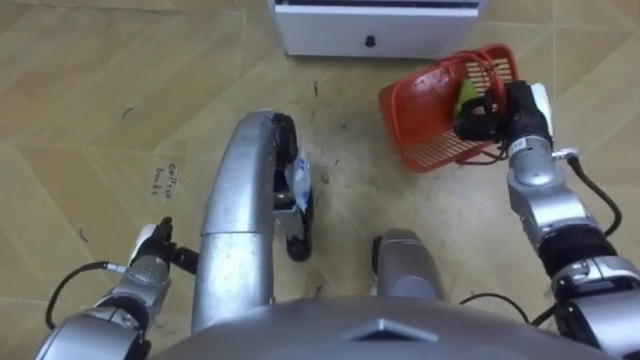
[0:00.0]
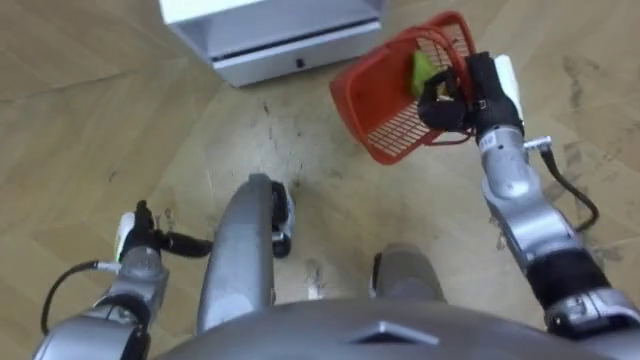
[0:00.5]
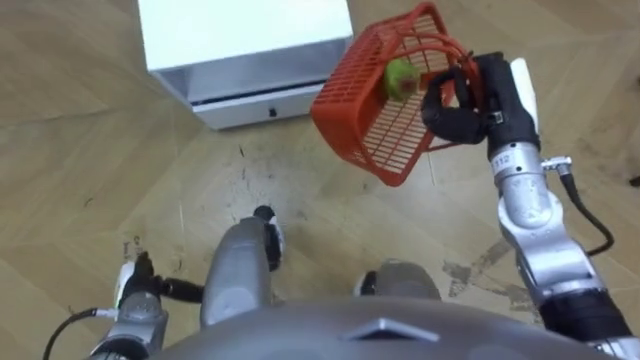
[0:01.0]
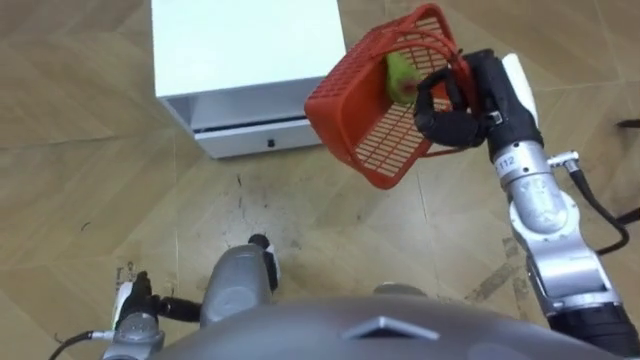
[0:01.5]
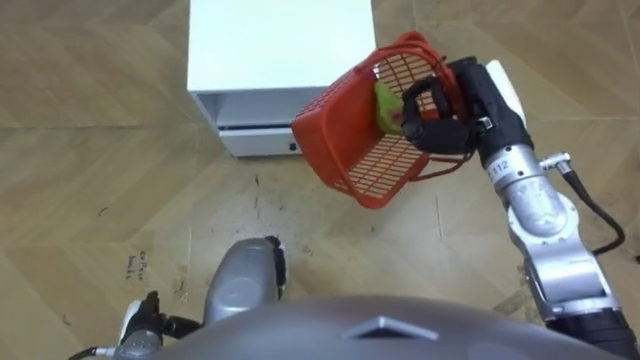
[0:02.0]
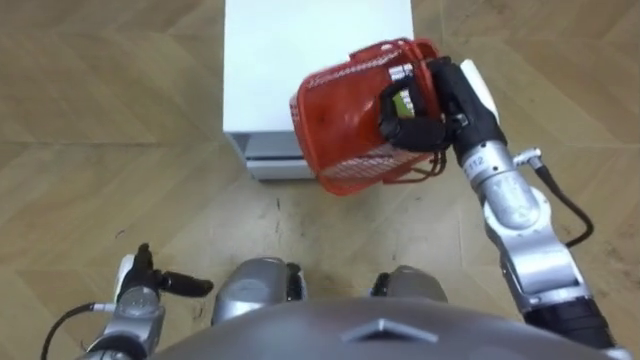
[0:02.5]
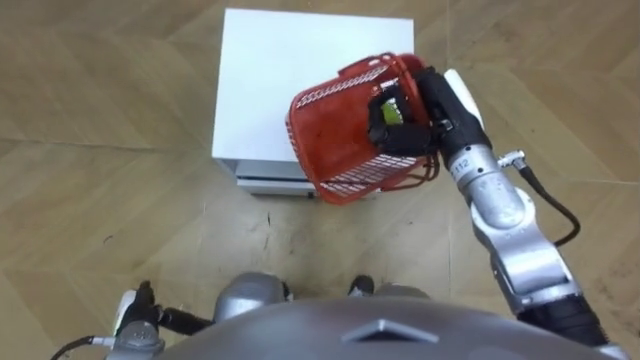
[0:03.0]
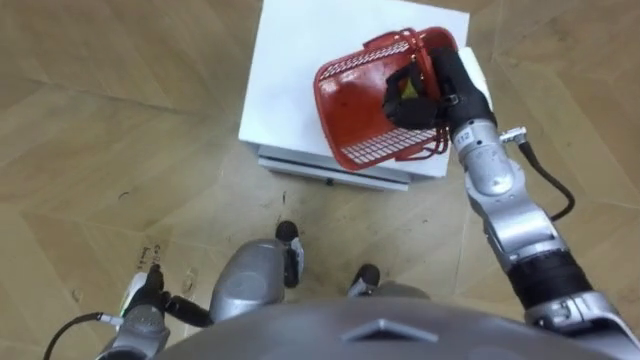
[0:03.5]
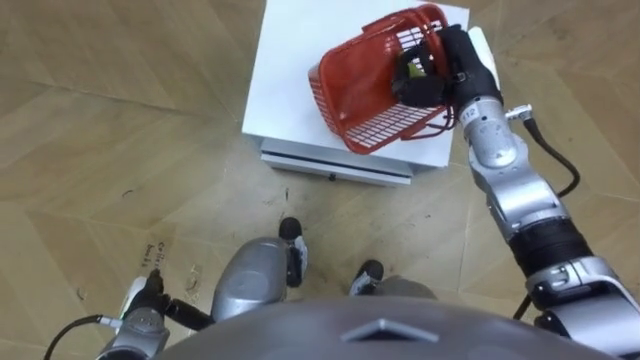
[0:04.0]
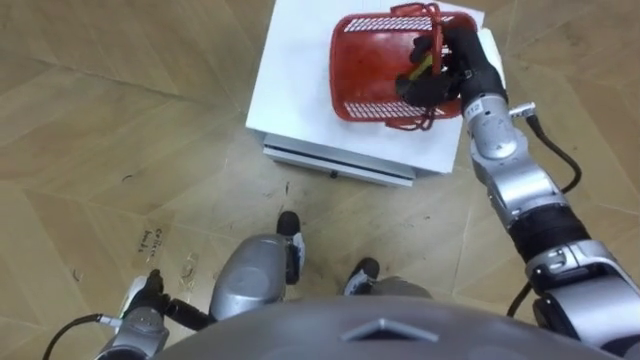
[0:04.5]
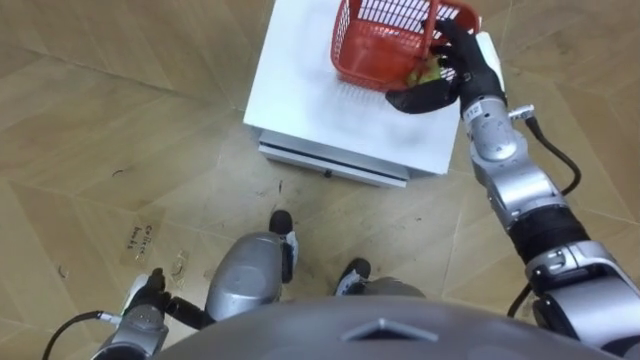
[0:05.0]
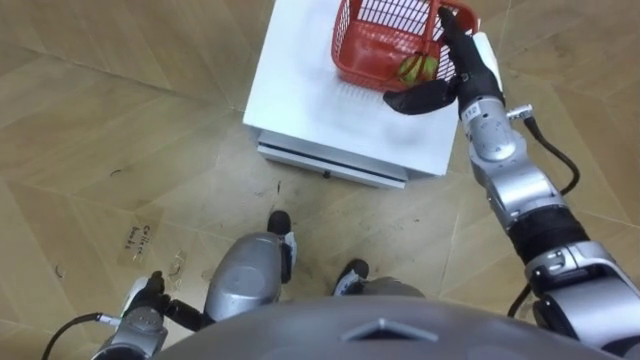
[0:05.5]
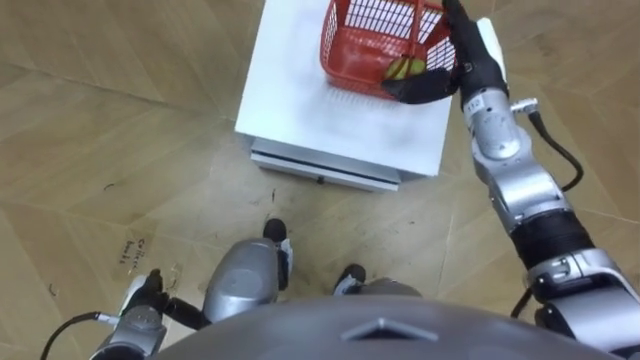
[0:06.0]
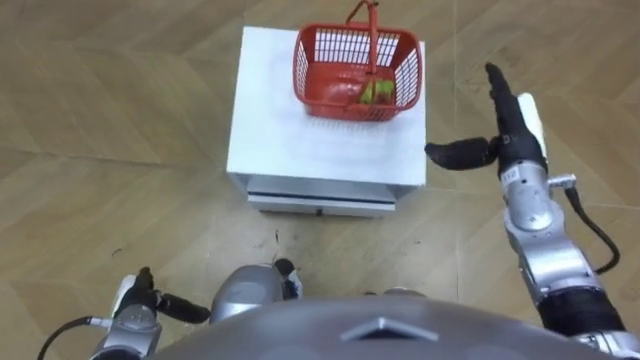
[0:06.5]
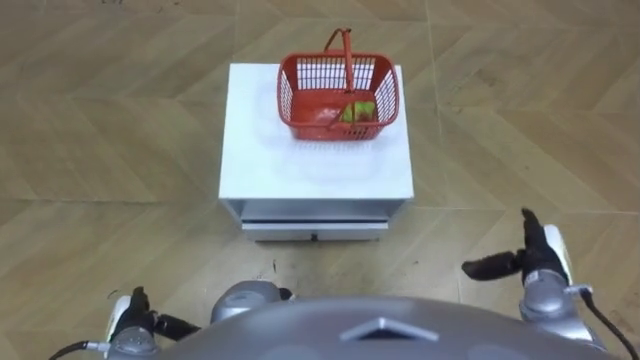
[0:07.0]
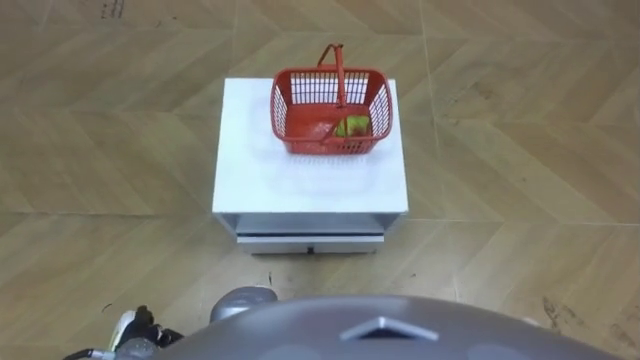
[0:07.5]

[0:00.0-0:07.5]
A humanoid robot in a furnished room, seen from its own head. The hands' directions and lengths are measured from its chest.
Task of the whole recording: Pick up the fruit basket from the floor and place it on the cabinet.
0:00.0 to 0:02.0: The left hand shifts approximately 10 cm backward, while the right hand goes roughly 10 cm upward and to the left.
0:02.0 to 0:04.0: The right hand shifts some 5 cm forward.
0:04.0 to 0:05.5: The right hand opens up.
0:05.5 to 0:07.5: The right hand shifts roughly 40 cm backward and downward.

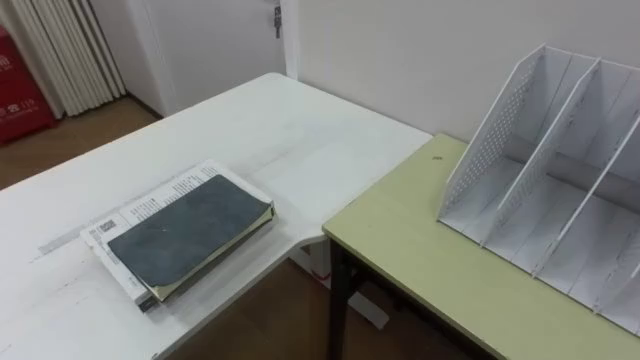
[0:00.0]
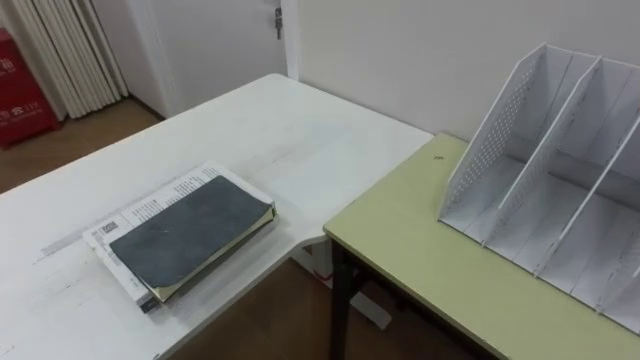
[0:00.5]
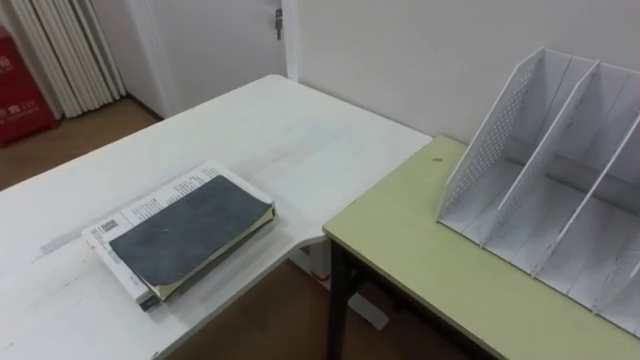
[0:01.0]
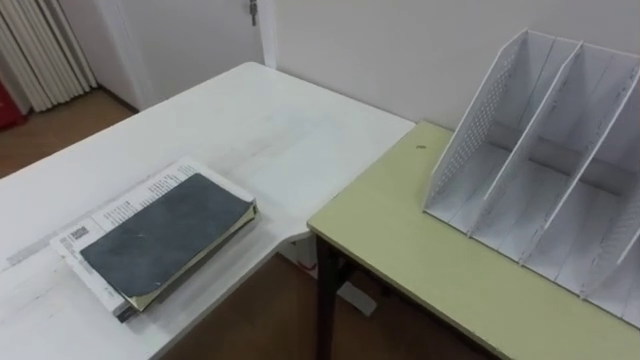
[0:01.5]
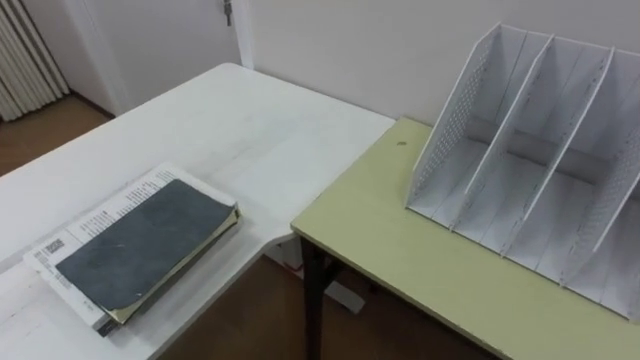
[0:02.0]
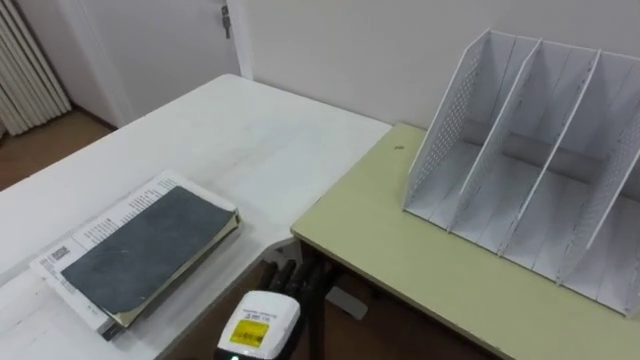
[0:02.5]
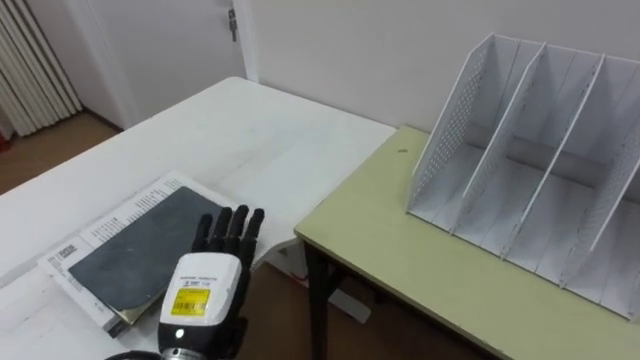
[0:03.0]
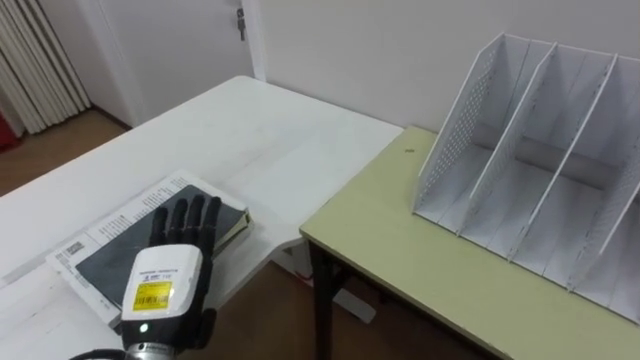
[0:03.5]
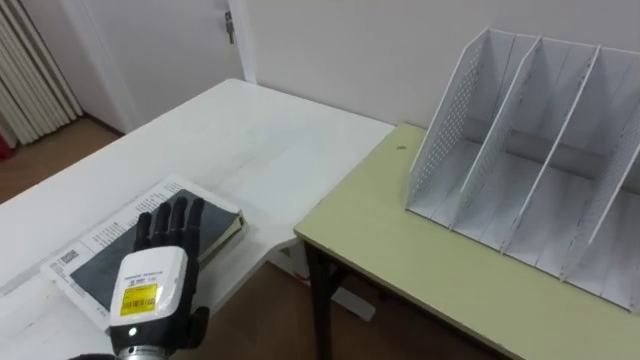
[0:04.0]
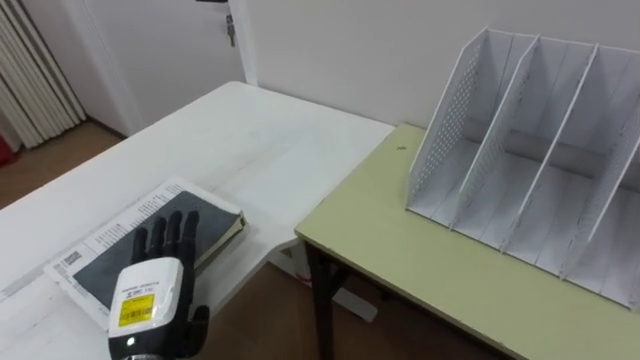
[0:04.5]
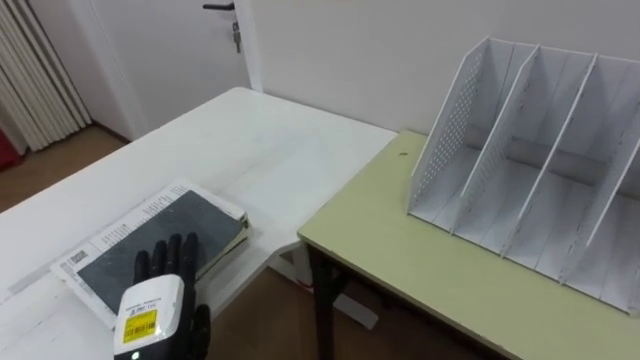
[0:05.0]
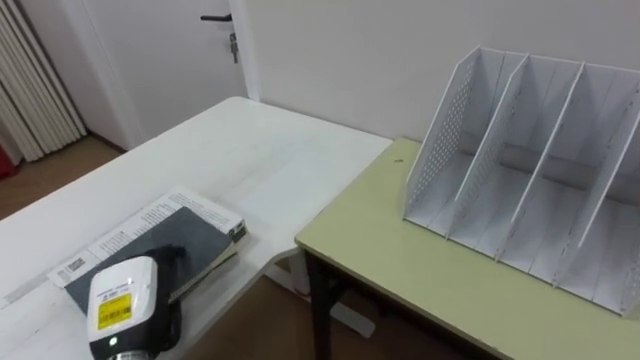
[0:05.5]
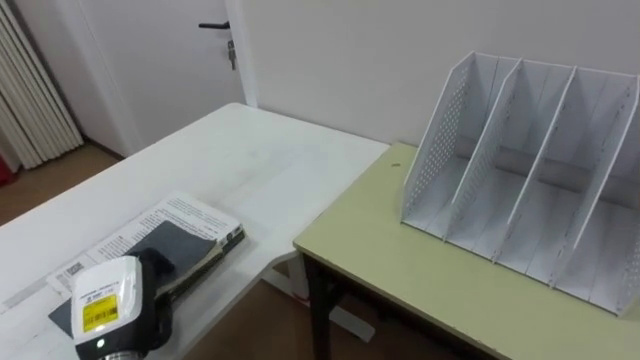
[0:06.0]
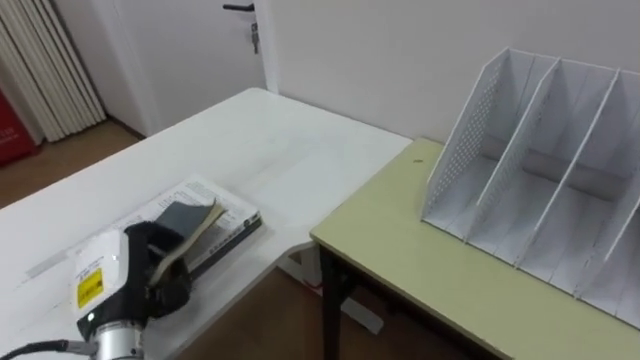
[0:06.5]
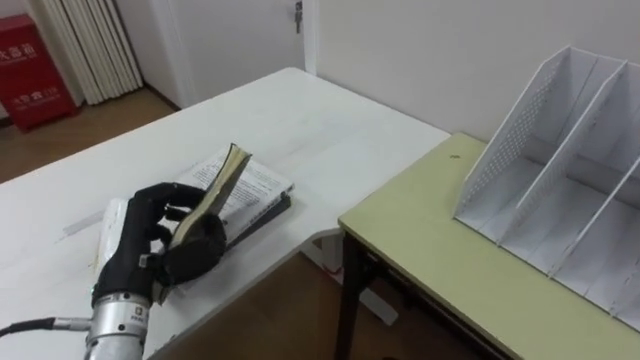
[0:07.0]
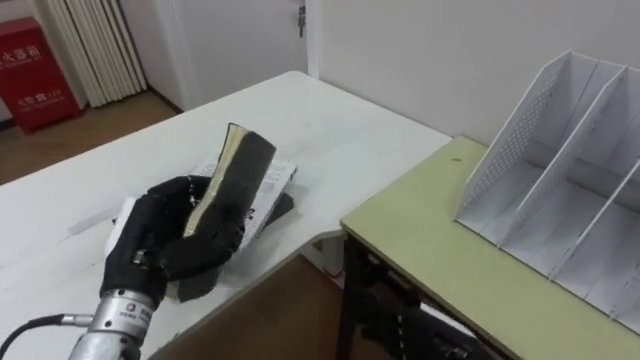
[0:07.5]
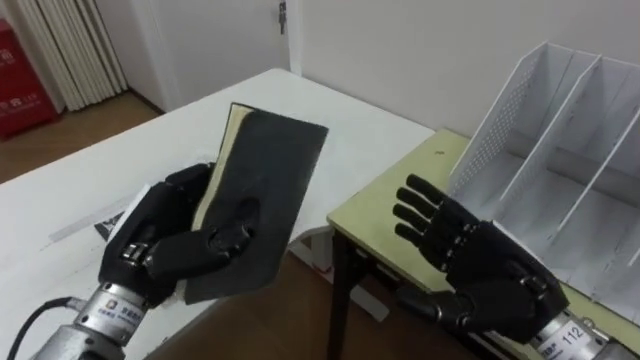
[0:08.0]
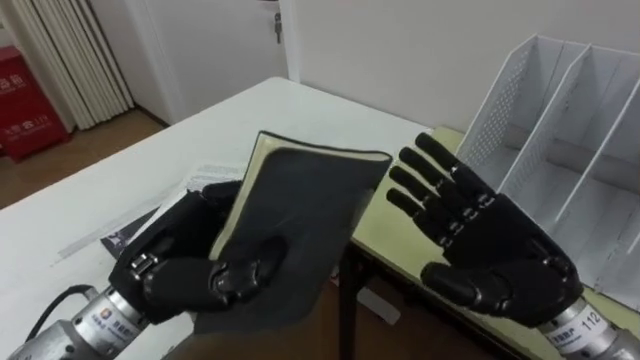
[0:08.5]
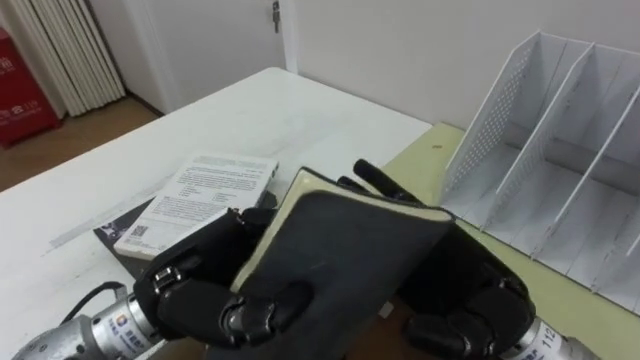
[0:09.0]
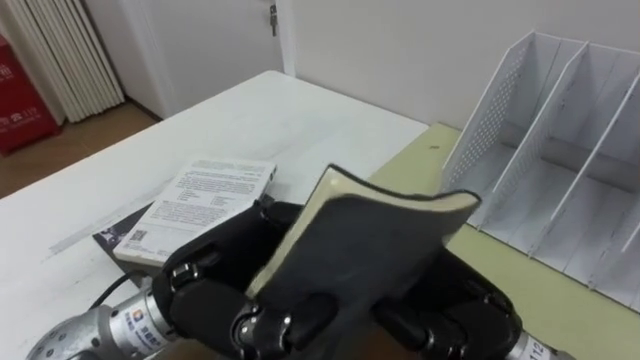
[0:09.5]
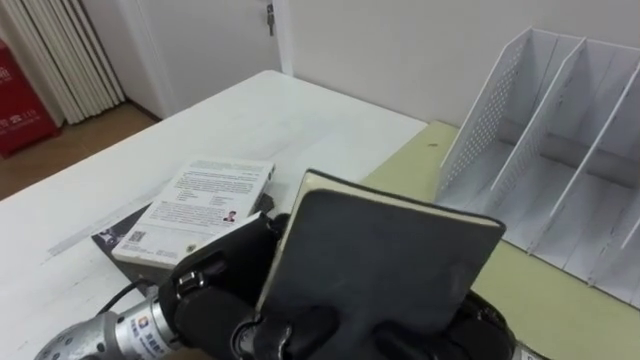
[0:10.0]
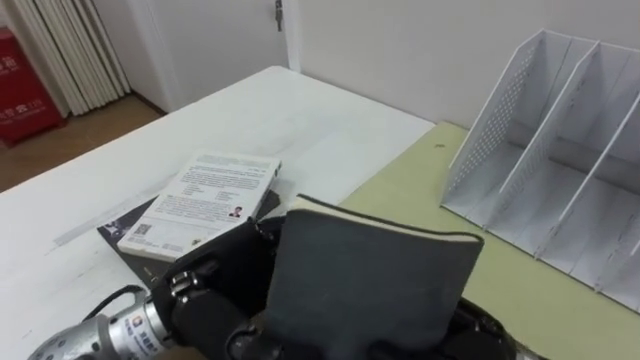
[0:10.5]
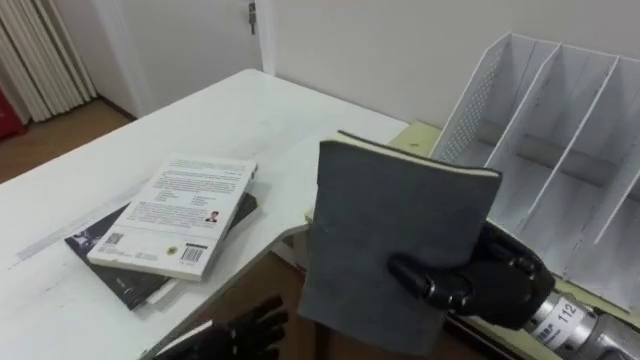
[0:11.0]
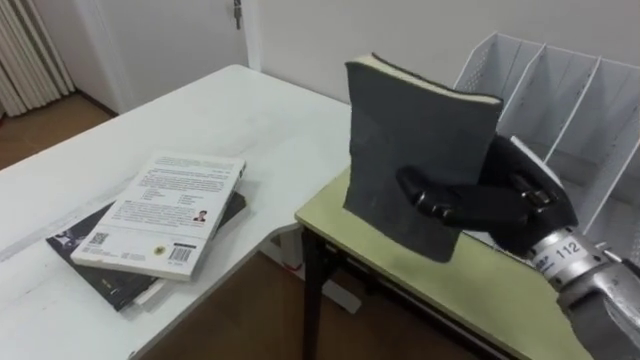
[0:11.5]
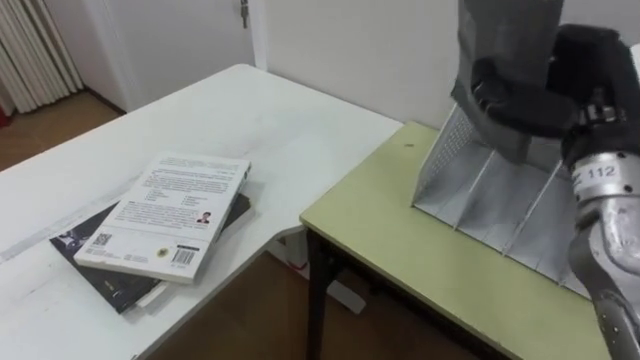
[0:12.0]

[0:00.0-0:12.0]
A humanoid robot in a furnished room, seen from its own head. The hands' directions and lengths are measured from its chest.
Task of the whole recording: Put the books on the table onto the bookshelf.
0:04.0 to 0:06.0: The left hand moves about 5 cm, and closes.
0:06.0 to 0:08.0: The left hand shifts some 15 cm upward and to the right.
0:08.0 to 0:10.0: The right hand heads to the left, covering about 10 cm, and closes up. The left hand travels to the right and backward by about 10 cm.
0:10.0 to 0:12.0: The right hand heads to the right, forward and upward, covering approximately 25 cm.
